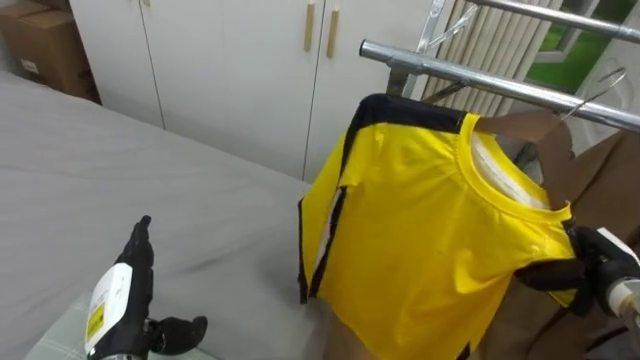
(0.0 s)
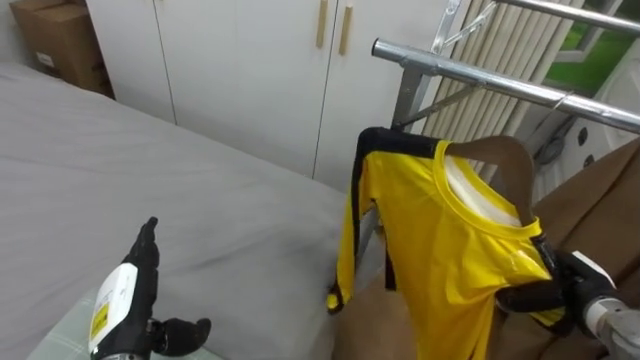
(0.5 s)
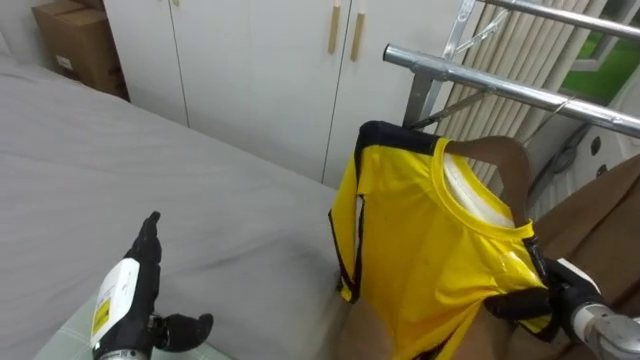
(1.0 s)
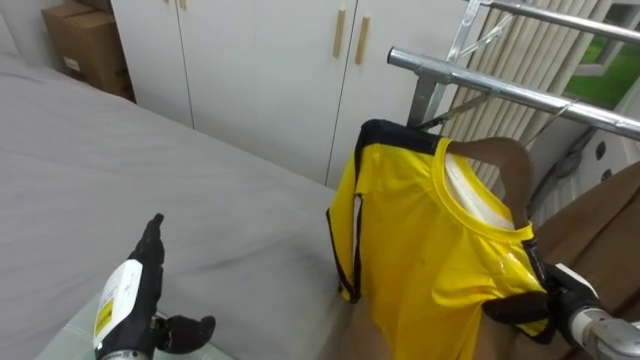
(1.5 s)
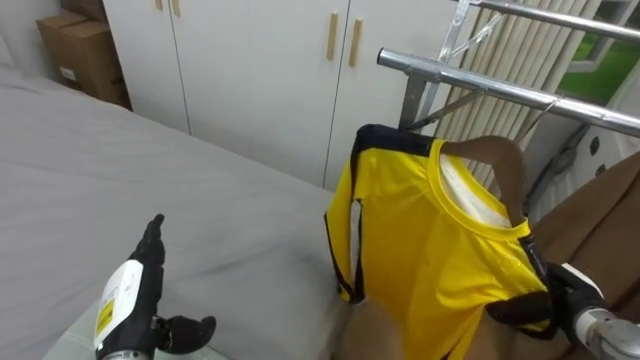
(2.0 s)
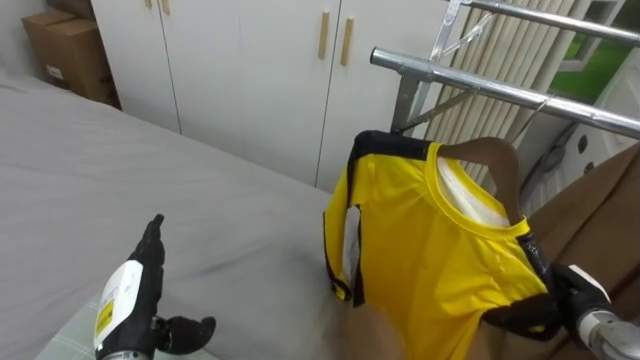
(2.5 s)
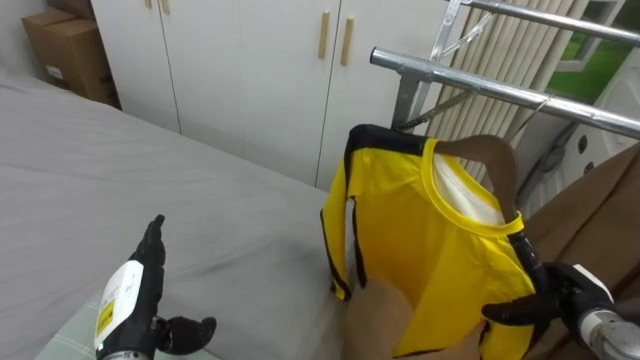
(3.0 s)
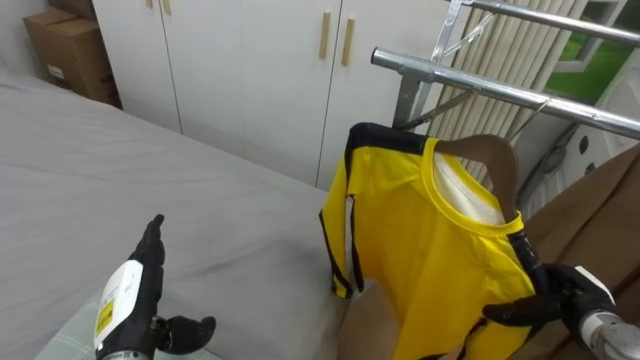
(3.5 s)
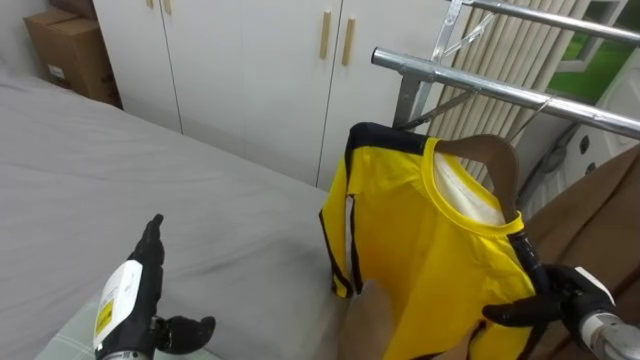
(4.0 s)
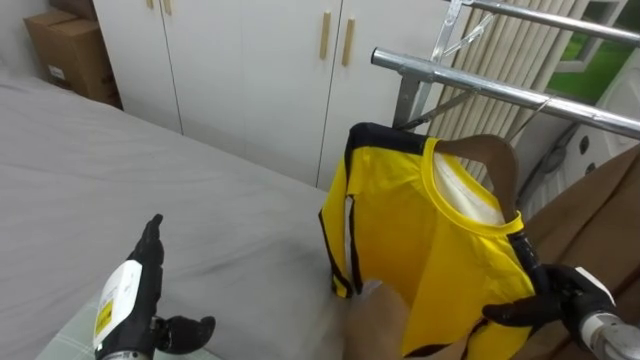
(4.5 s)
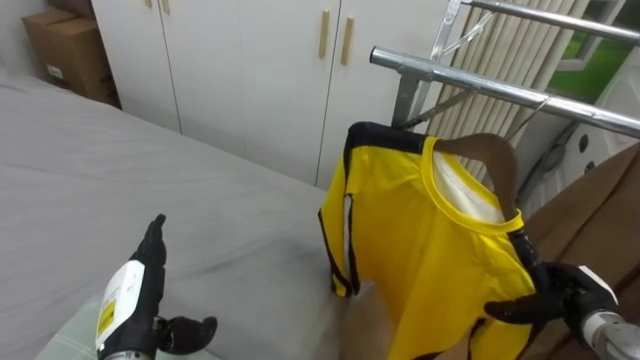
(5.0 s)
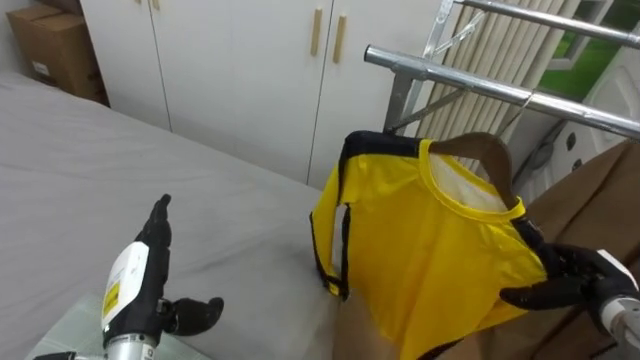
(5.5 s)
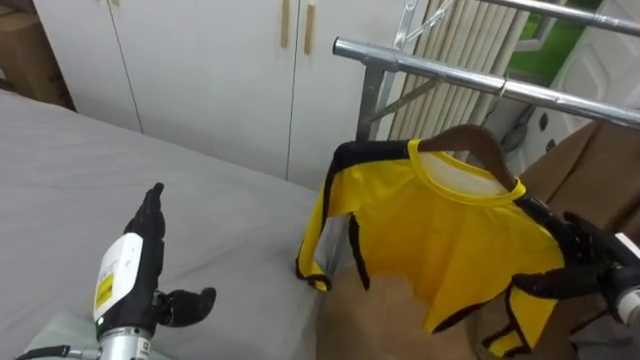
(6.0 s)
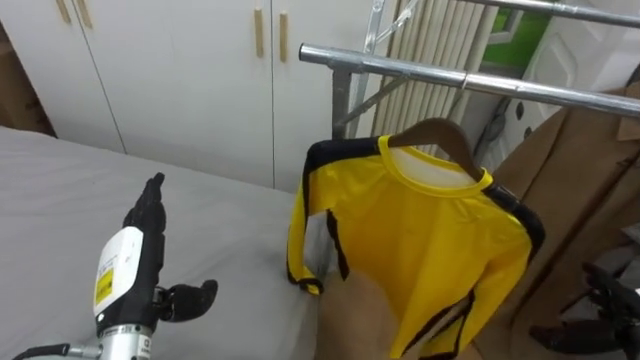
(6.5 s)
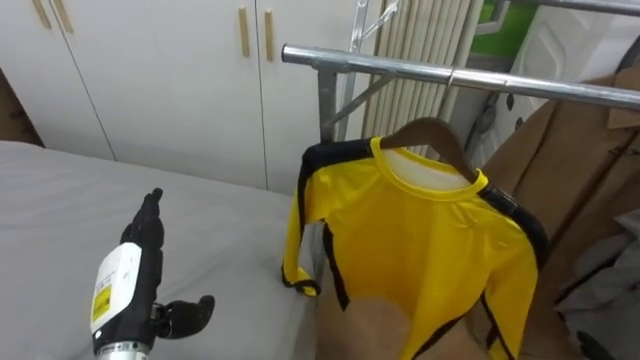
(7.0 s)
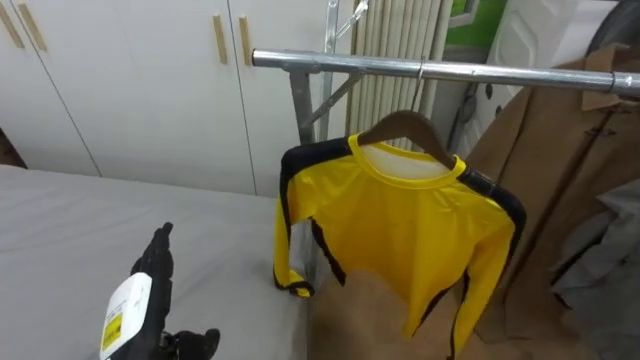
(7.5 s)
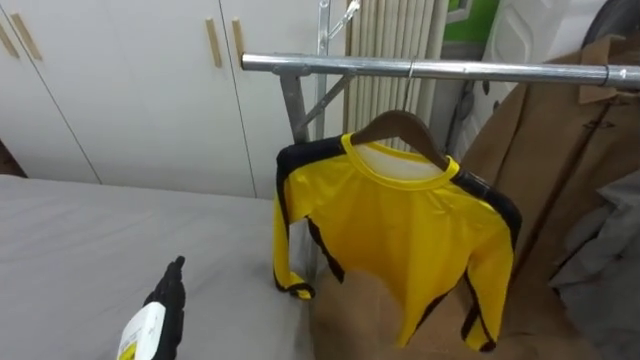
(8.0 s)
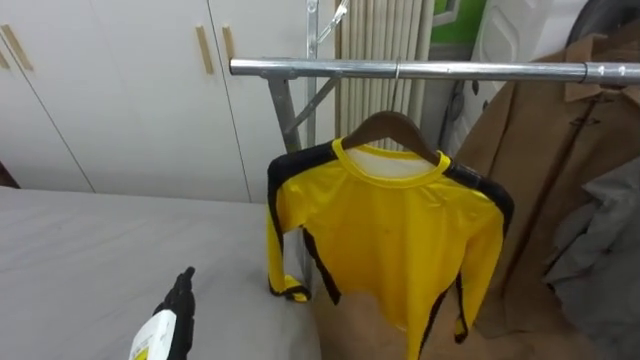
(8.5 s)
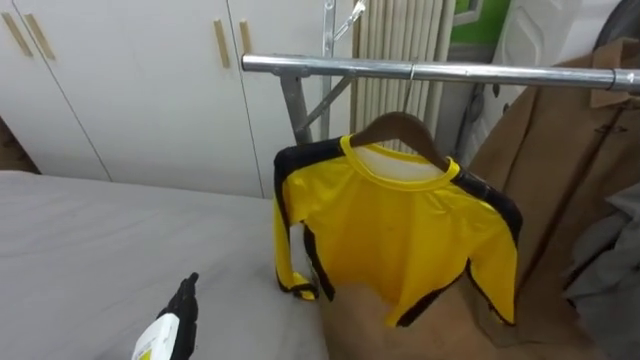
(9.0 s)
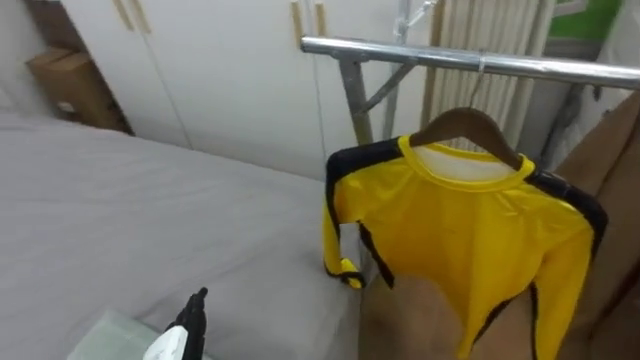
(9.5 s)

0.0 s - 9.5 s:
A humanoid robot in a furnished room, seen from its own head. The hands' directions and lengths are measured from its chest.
Task of the whole recording: Pick up the yellow shirt on the bed and hang it on the clothes rack on the right.
0.0 s - 2.0 s: The right hand moves approximately 5 cm.
2.0 s - 4.0 s: The right hand opens its fingers.

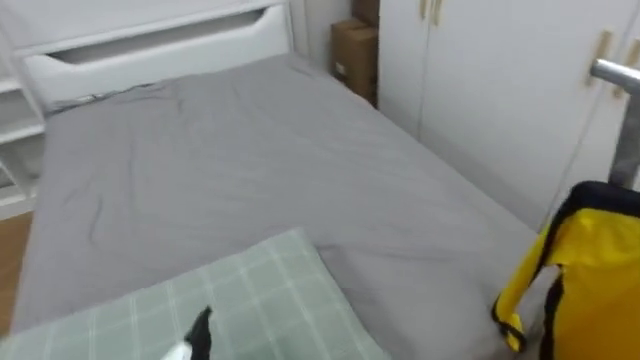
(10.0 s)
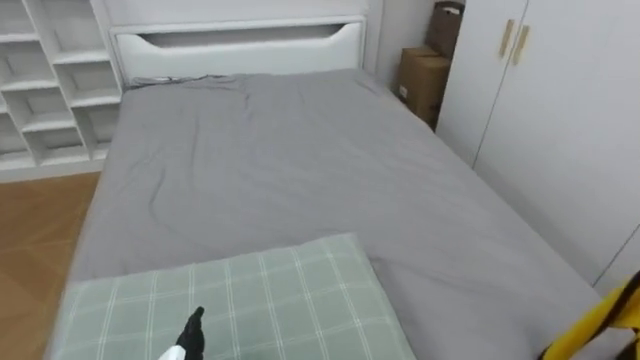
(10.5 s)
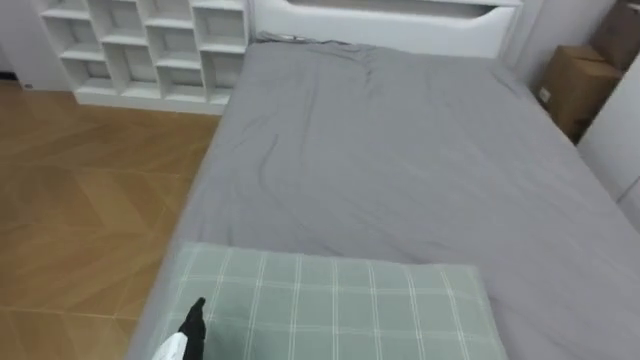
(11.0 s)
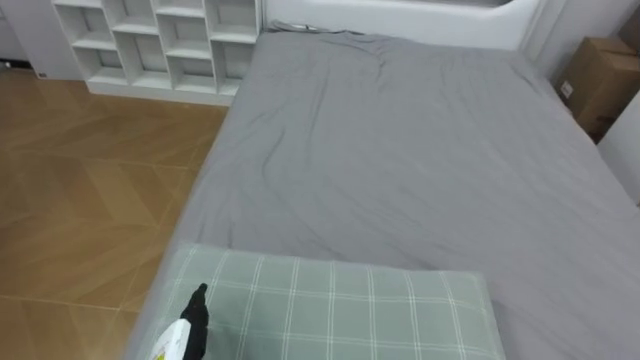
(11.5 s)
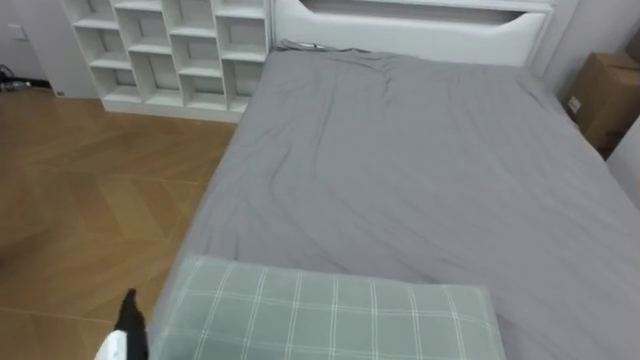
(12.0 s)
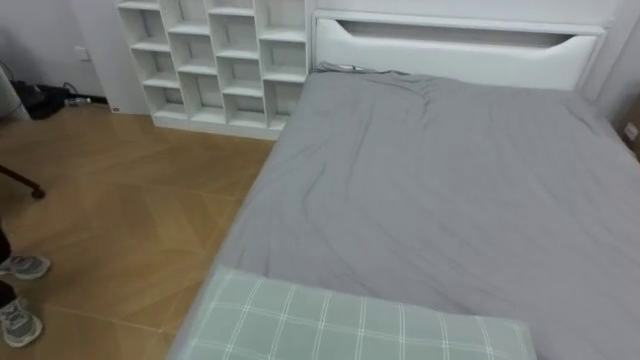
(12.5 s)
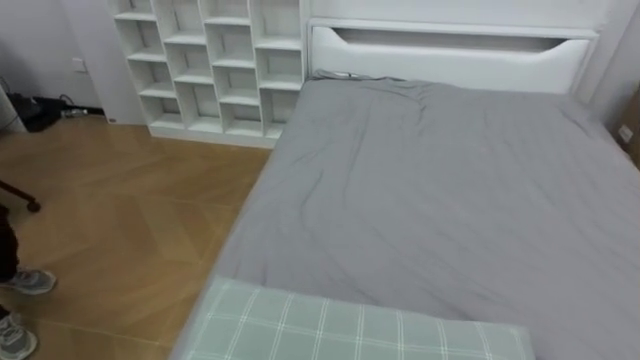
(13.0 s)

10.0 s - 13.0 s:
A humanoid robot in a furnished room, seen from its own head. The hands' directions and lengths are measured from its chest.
Task of the whole recording: Pick up the yellow shirt on the bed and hang it on the clothes rack on the right.
10.0 s - 11.5 s: The robot turns to its left by approximately 40 degrees.

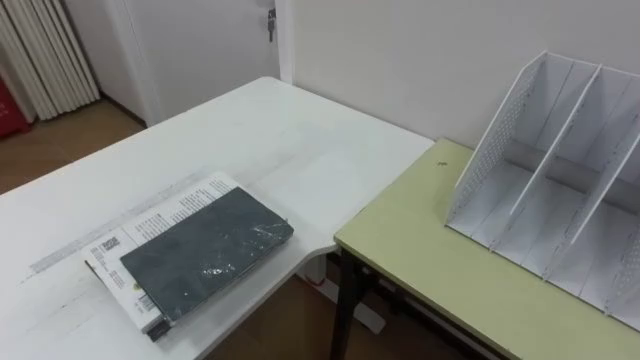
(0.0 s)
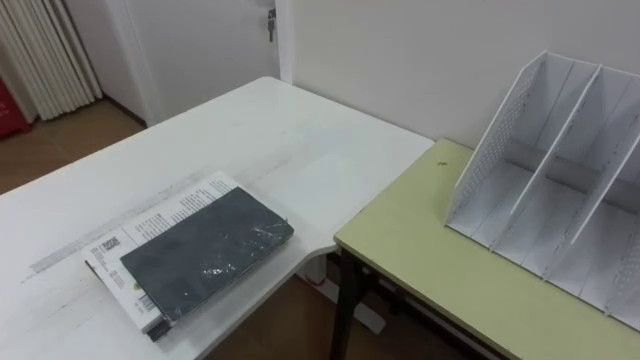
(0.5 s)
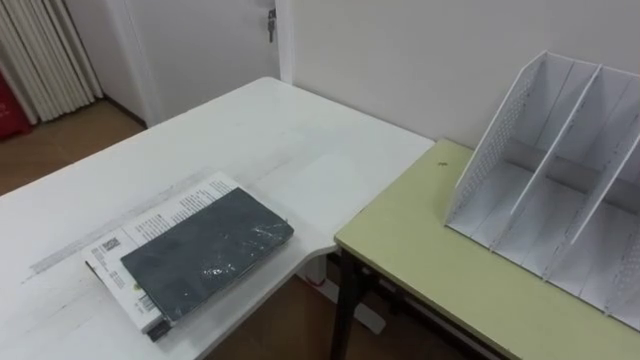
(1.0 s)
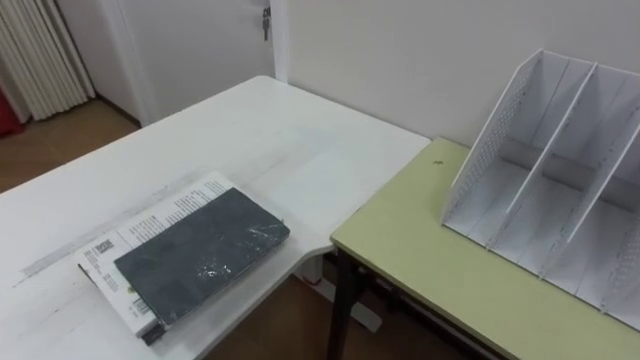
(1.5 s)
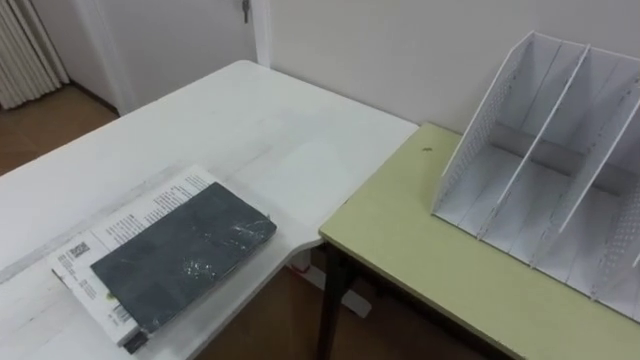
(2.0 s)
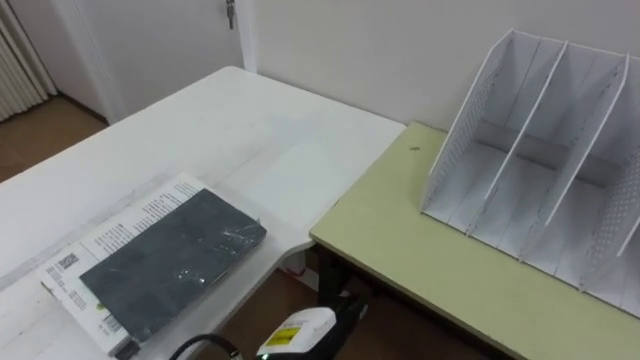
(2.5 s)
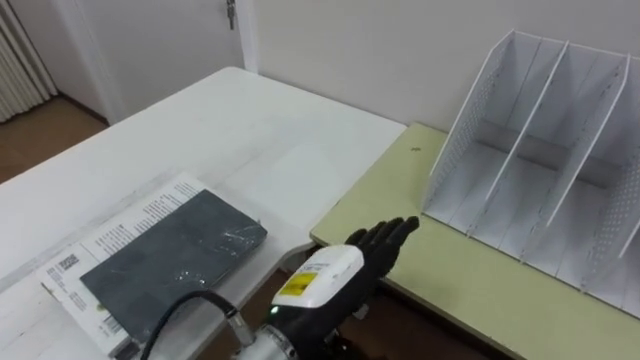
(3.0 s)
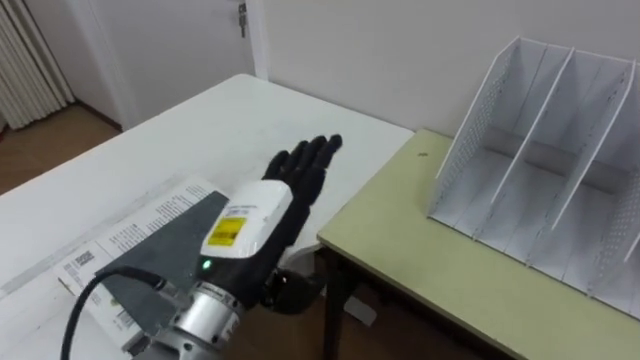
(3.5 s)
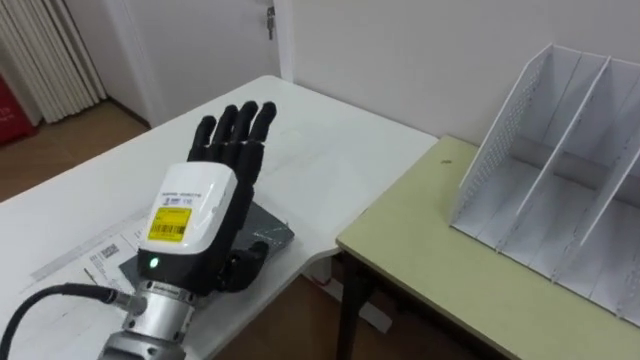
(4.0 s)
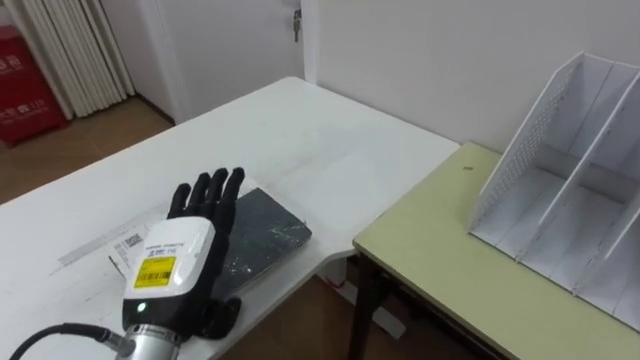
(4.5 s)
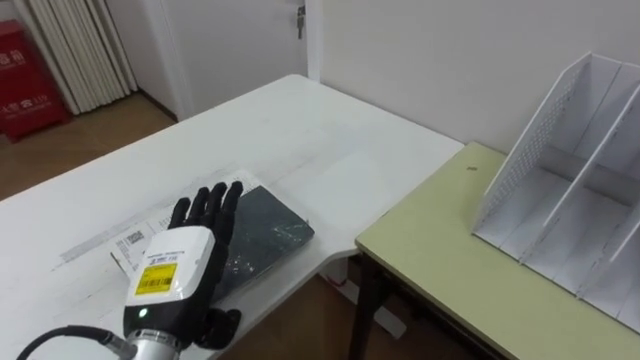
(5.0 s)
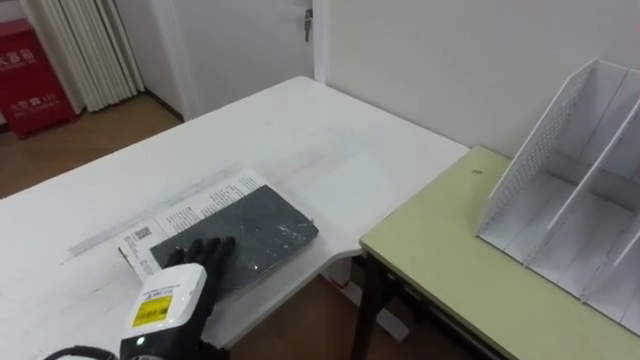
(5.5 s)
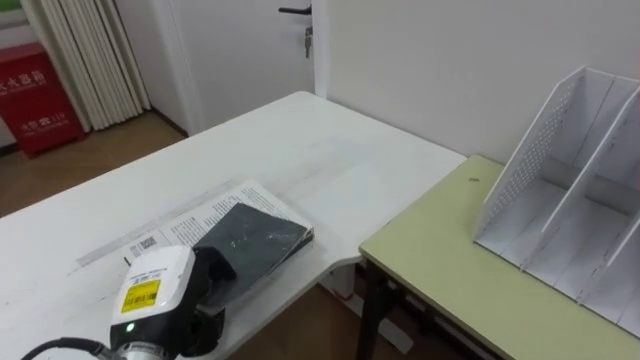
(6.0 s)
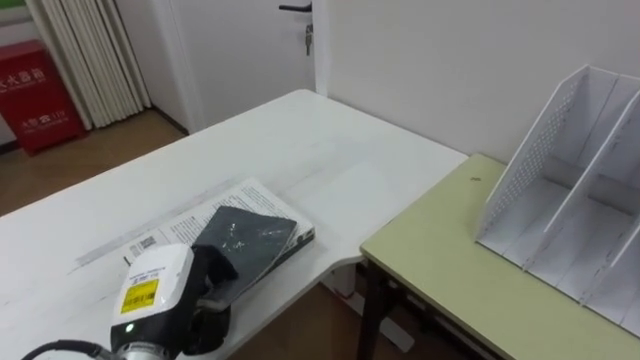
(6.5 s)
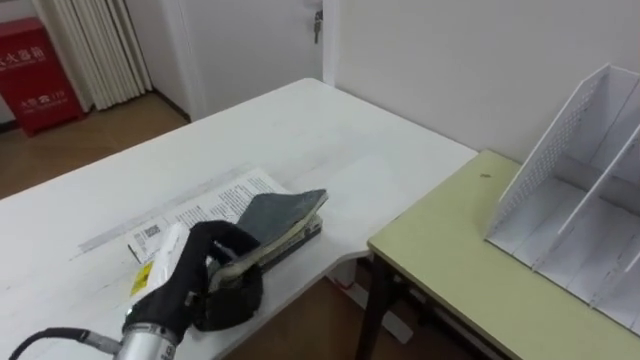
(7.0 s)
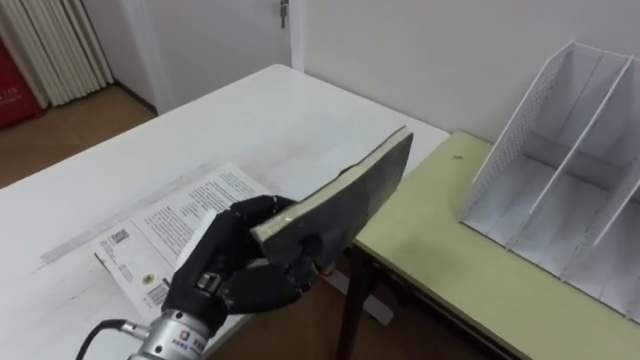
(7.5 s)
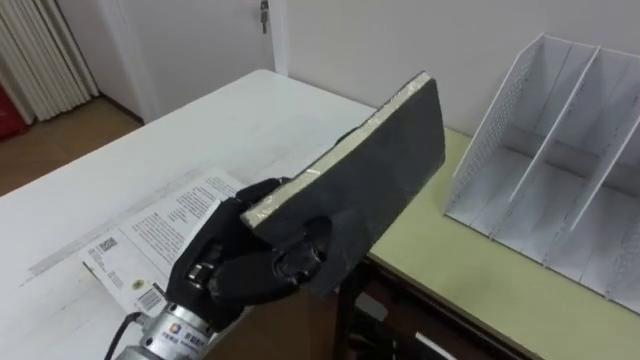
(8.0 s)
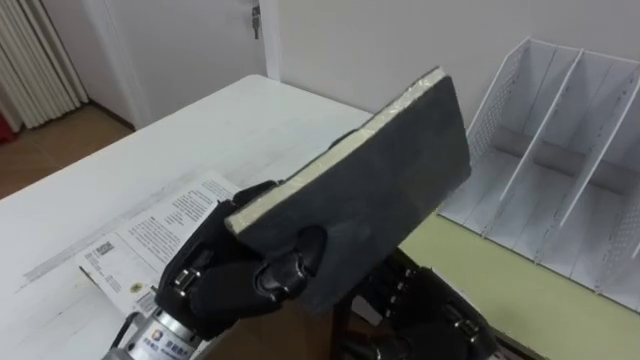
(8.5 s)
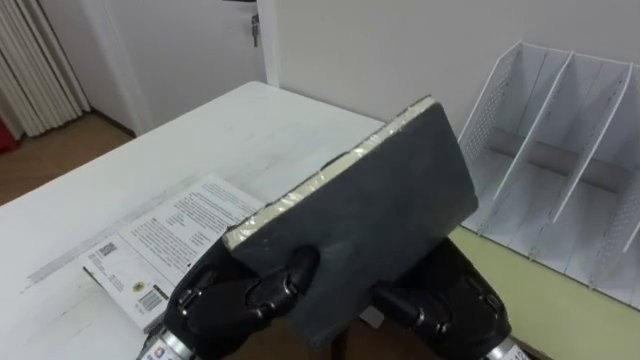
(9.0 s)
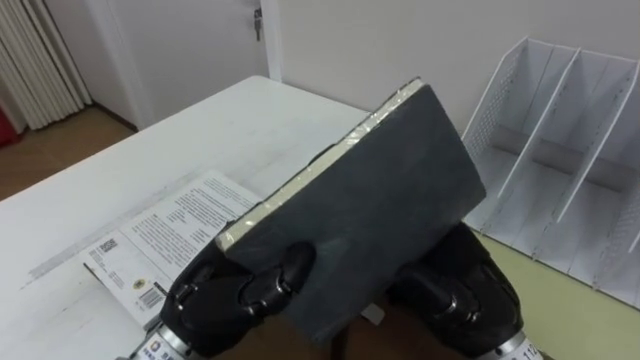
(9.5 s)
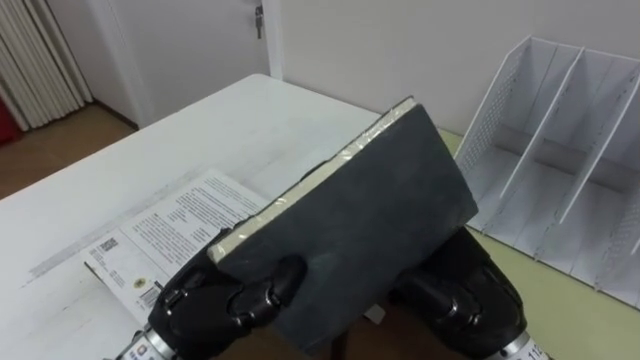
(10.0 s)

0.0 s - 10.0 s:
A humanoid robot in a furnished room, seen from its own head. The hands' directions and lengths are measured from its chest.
Task of the whole recording: Put the books on the table onto the bookshelf.
4.0 s - 6.0 s: The left hand goes some 10 cm downward and to the left, and closes its fingers.
6.0 s - 8.0 s: The left hand shifts some 10 cm to the right and upward.
